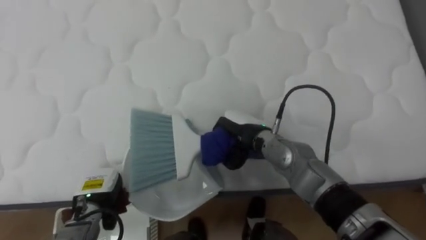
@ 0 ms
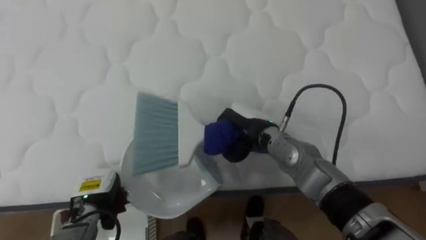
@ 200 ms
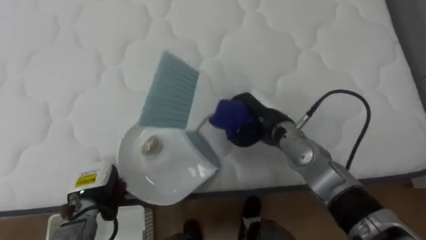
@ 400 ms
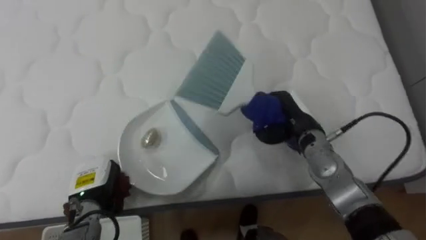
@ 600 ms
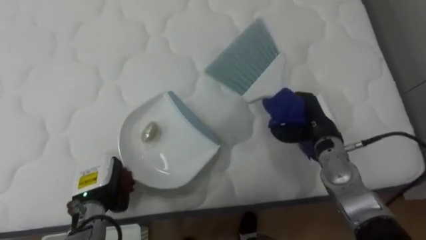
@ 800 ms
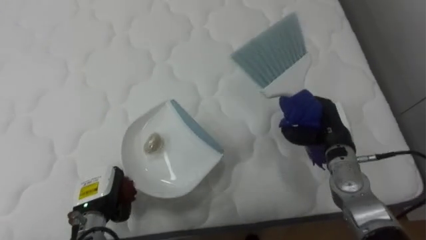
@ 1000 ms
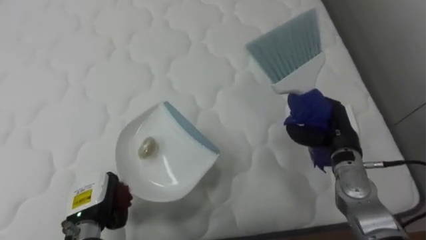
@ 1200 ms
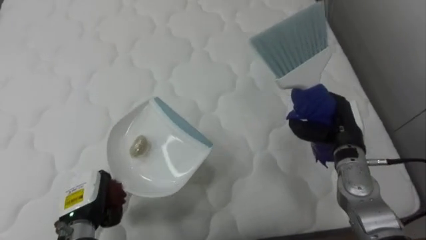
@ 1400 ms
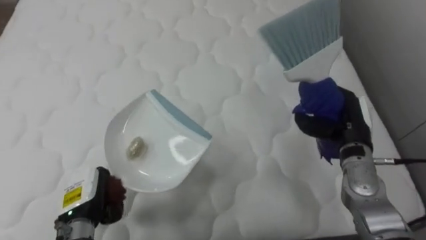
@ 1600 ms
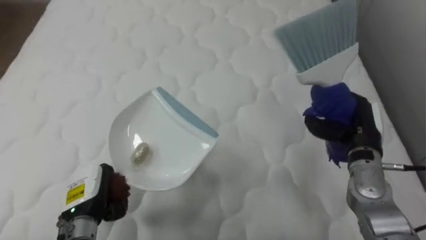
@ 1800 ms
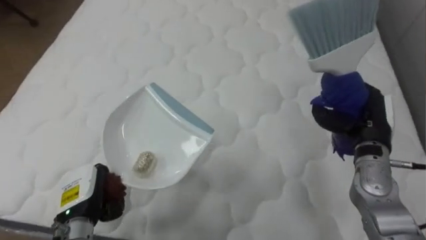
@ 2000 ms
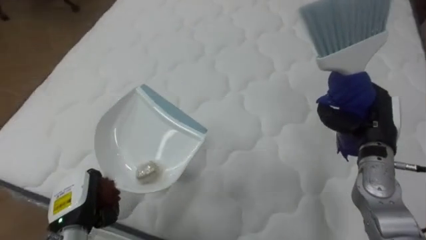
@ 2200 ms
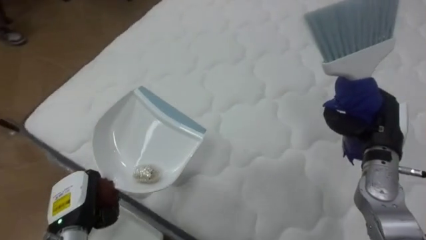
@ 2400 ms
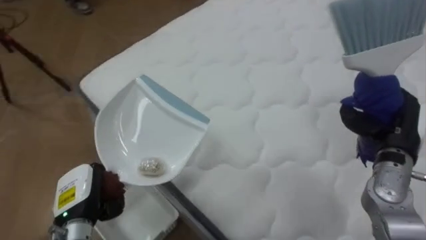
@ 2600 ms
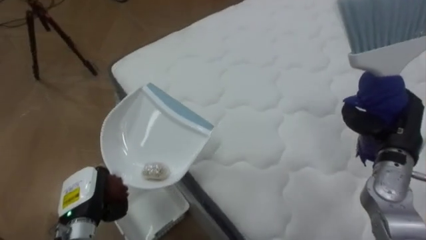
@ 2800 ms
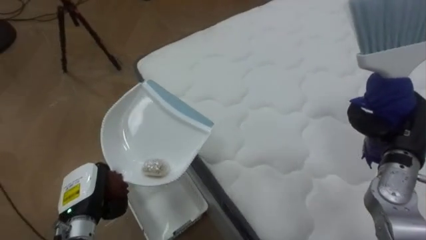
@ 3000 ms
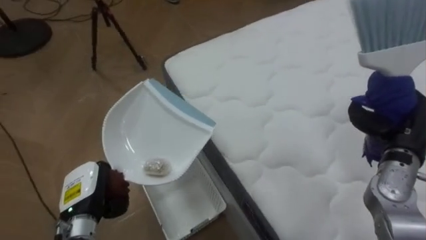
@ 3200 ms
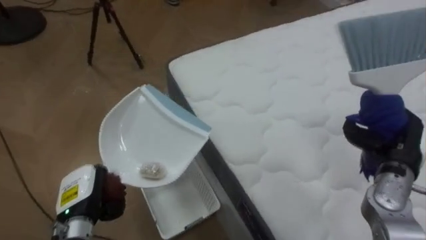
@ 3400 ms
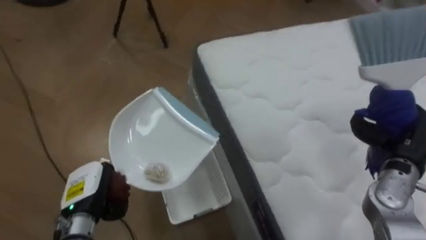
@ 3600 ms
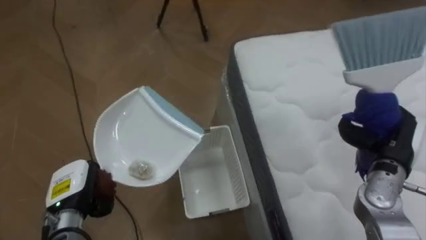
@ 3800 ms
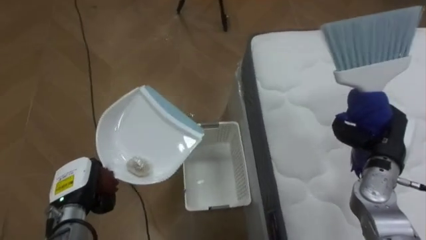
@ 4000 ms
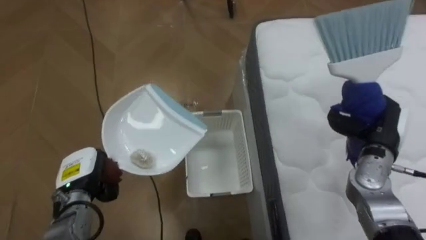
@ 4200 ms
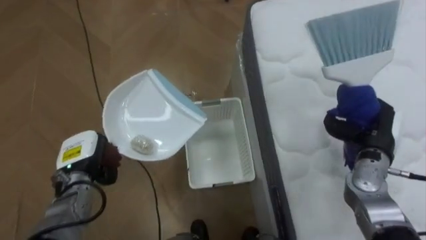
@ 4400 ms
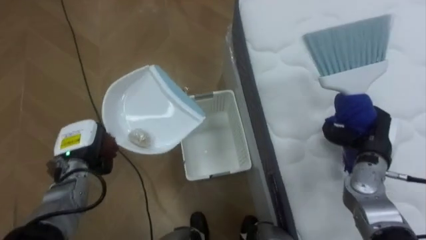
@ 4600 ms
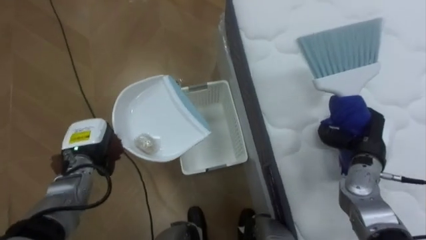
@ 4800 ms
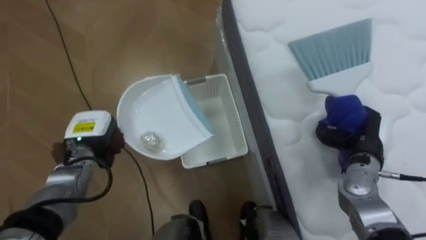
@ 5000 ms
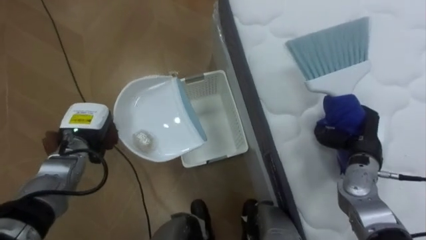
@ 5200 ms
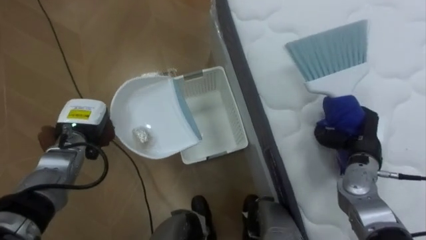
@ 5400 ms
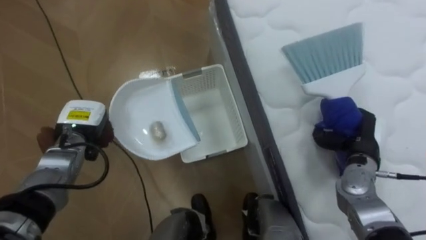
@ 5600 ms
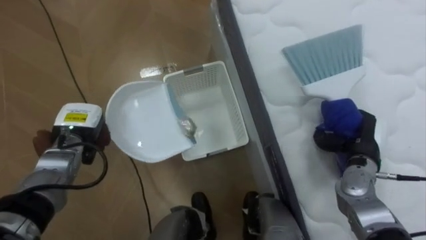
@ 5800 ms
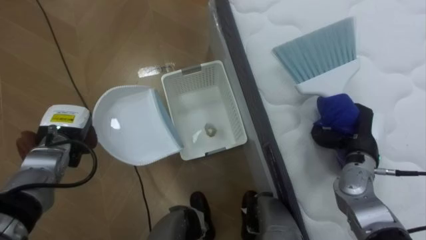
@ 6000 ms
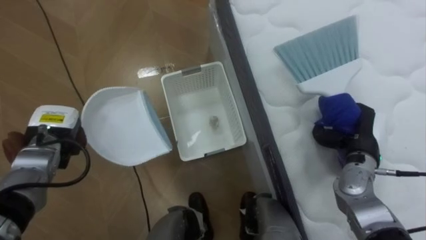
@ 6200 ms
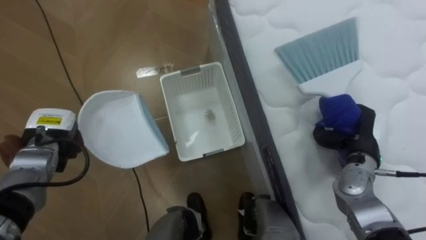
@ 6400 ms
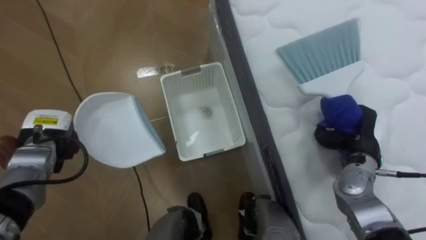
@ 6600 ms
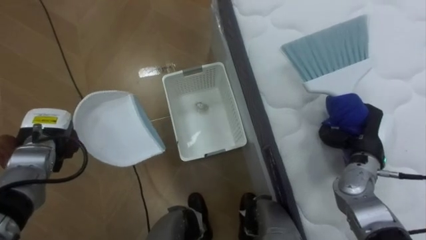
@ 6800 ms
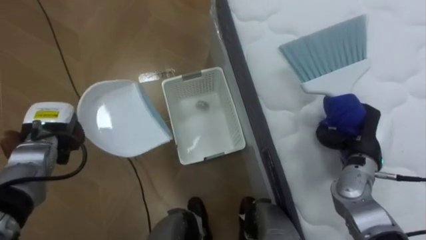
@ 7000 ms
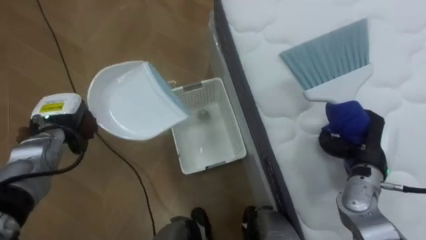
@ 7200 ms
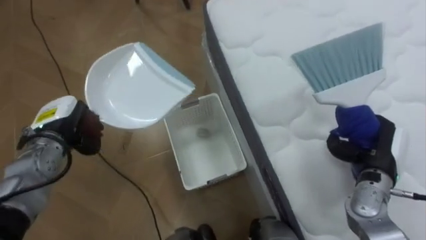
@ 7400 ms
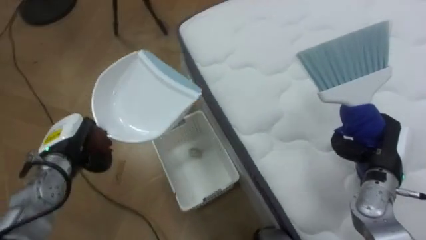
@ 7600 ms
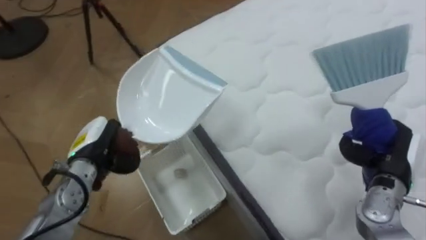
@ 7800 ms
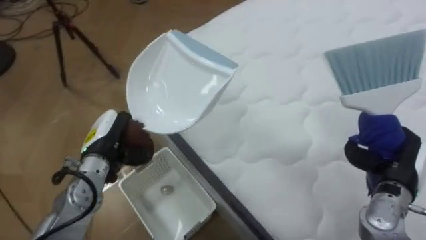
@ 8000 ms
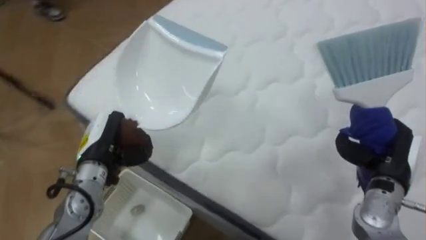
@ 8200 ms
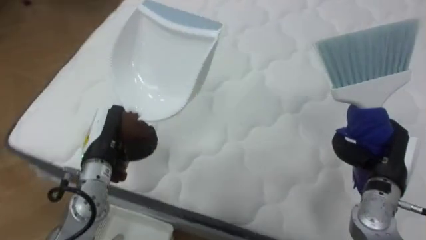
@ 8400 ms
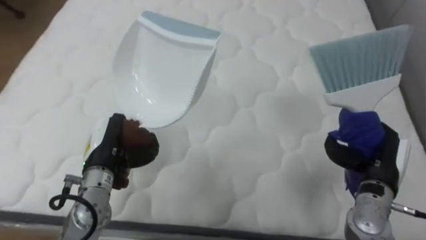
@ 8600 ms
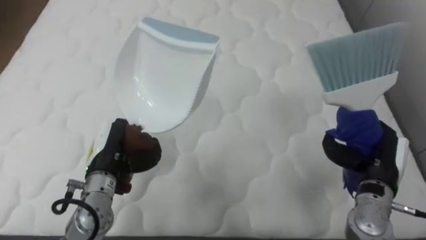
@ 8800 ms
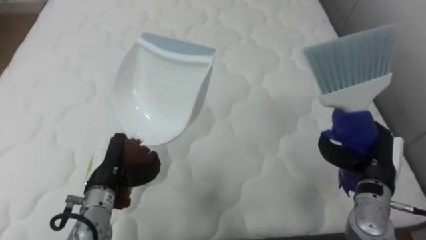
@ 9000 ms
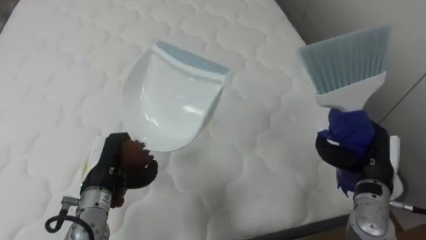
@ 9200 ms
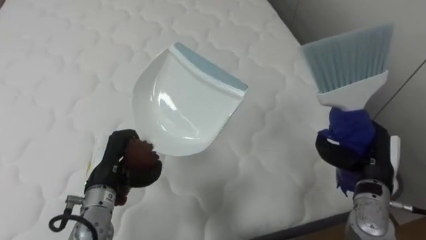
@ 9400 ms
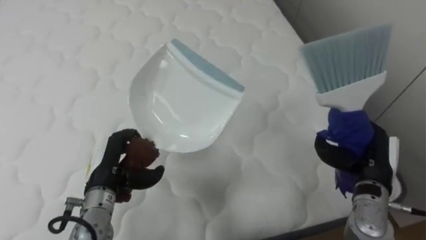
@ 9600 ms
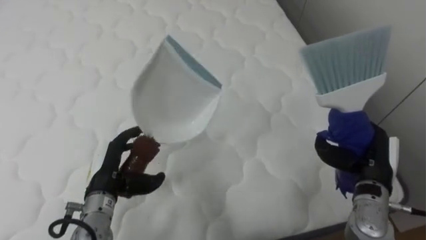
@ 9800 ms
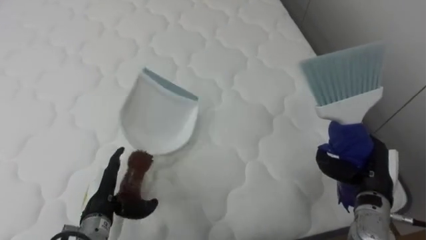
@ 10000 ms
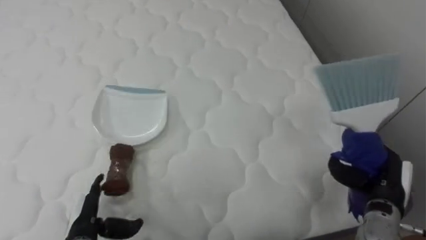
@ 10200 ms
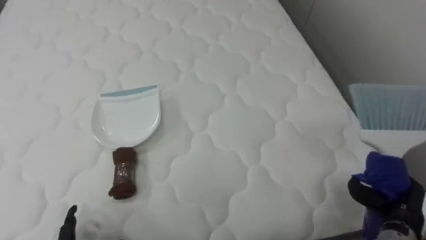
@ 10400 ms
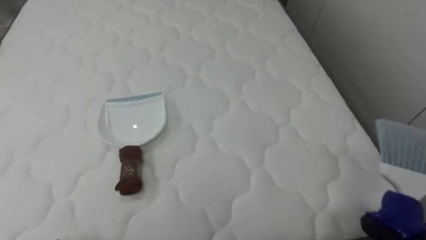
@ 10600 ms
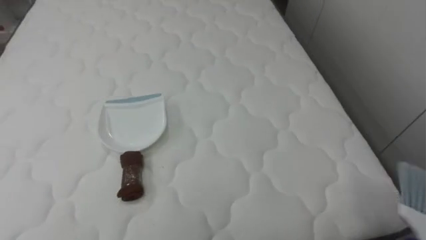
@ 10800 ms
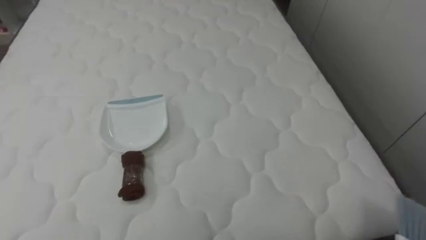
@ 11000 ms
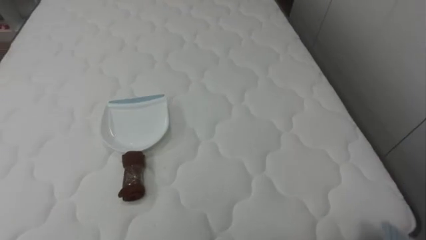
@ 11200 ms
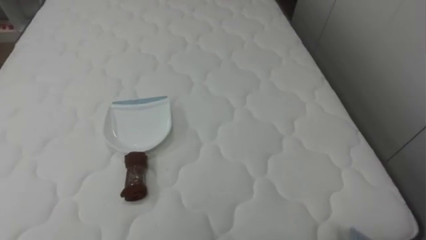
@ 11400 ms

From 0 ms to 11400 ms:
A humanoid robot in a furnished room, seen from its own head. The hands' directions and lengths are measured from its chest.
Task of the whole recording: Pick up the brush on your right and the dustpan on your left. Use the brush to sweep the crumpled paper on the bed into the dustpan, then turn left and empty it into the basket.
From 0 ms to 1400 ms: The right hand travels to the right by some 20 cm.
From 1400 ms to 2800 ms: The robot faces about 55 degrees further to its left. The right hand is displaced to the right by approximately 10 cm.
From 2800 ms to 4200 ms: The robot turns to its left by approximately 40 degrees.
From 4200 ms to 5600 ms: The left hand shifts approximately 10 cm forward and upward.
From 7200 ms to 8600 ms: The robot turns to its right by some 75 degrees. The left hand shifts roughly 10 cm to the right and backward.
From 8600 ms to 10000 ms: The robot faces approximately 20 degrees further to its right. The left hand travels downward and backward by approximately 10 cm, and opens its fingers.

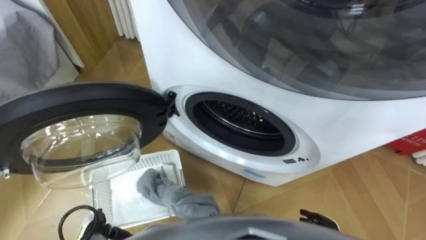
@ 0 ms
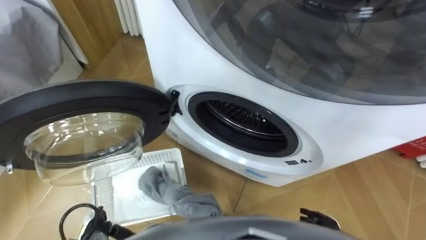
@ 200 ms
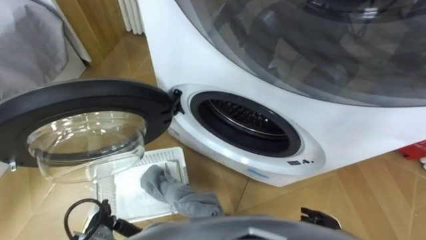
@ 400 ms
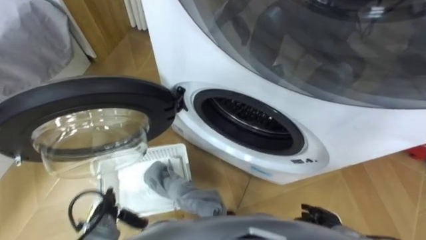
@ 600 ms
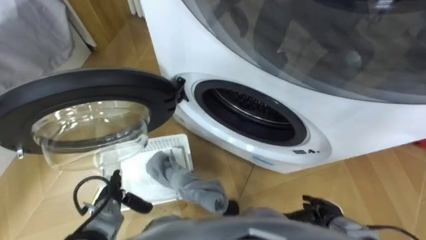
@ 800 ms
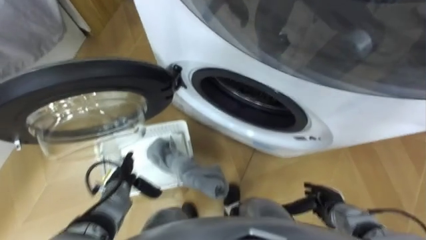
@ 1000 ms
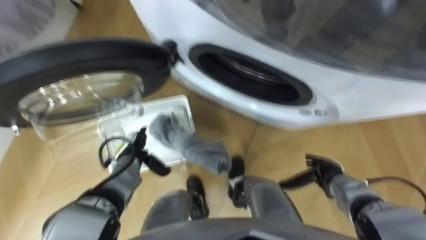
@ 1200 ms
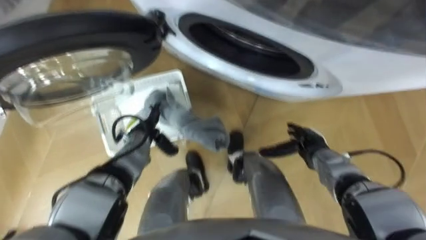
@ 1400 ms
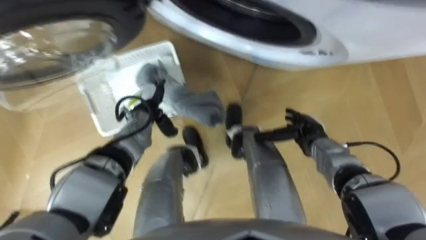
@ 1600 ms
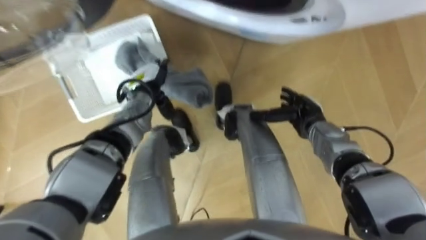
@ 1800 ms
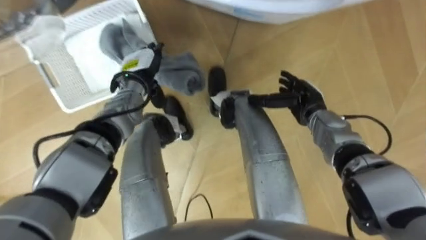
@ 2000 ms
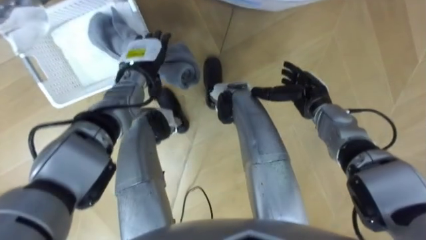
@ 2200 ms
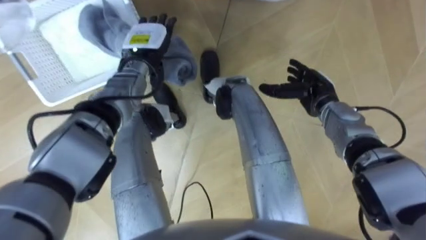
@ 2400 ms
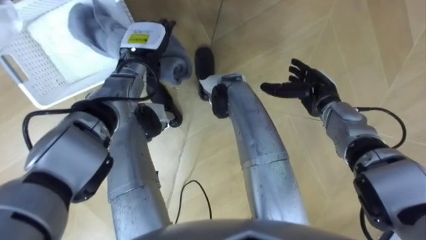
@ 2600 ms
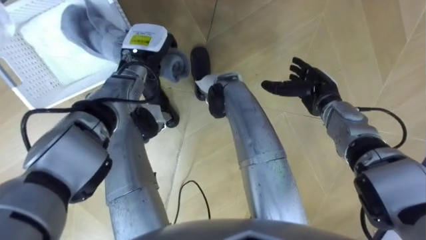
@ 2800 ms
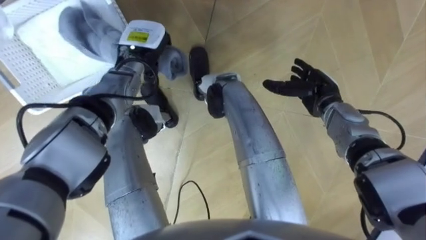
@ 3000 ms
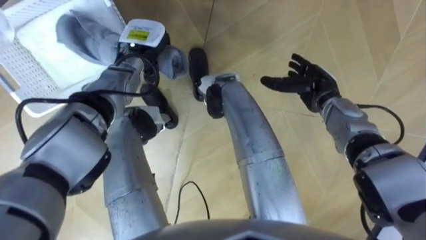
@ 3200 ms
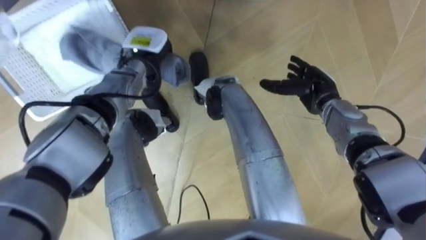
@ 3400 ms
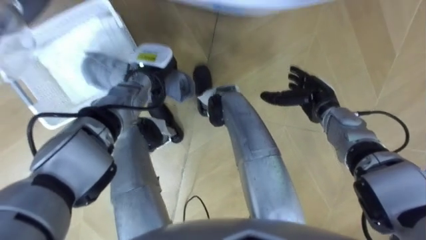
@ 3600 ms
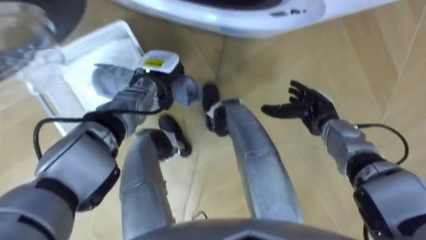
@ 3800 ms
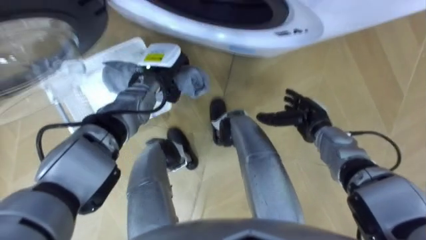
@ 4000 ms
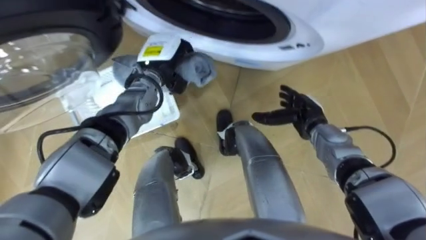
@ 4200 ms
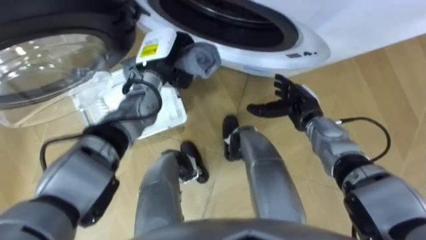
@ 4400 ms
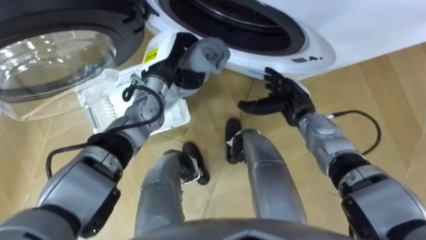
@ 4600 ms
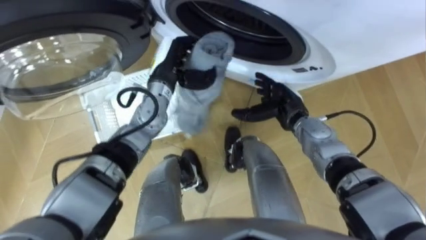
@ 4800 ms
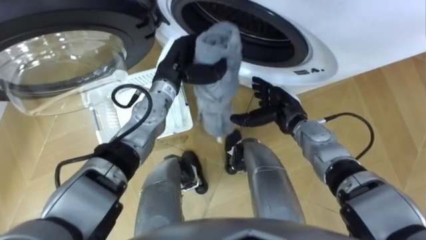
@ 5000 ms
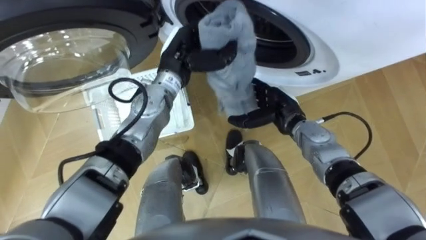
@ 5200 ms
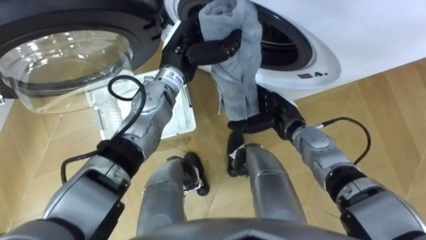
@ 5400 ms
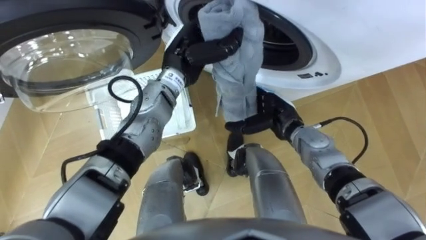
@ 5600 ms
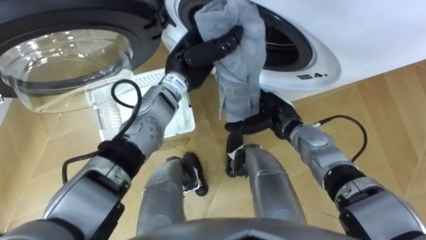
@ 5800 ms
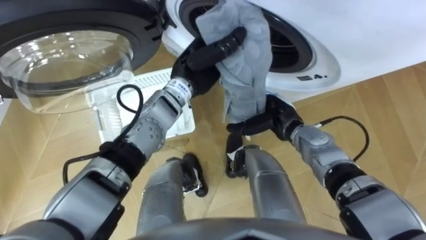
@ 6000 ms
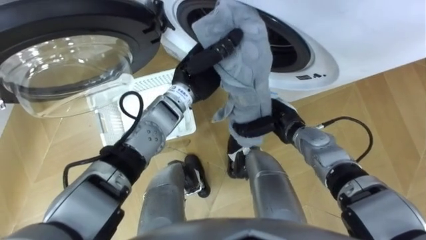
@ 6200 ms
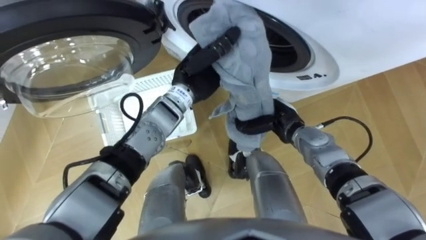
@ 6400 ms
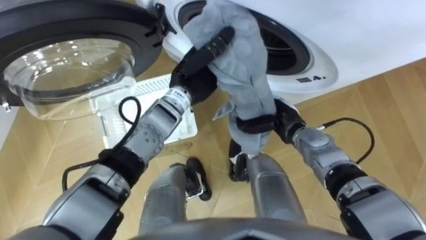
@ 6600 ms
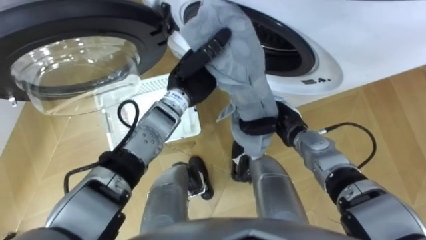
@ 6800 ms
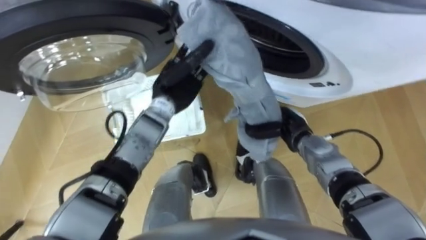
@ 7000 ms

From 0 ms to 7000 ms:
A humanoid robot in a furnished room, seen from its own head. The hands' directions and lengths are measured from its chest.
Task of the whole recording: Take the towel from the basket and put it into the washing machine.
From 1400 ms to 2800 ms: The right hand moves forward and upward, some 15 cm, while the left hand is displaced upward and forward by about 20 cm, and closes up.
From 2800 ms to 4200 ms: The right hand ends up roughly 5 cm from where it was.
From 4200 ms to 5600 ms: The right hand moves to the left, approximately 5 cm. The left hand is displaced to the right by about 5 cm.
From 5600 ms to 7000 ms: The left hand travels downward by approximately 5 cm, and opens its fingers. Meanwhile the right hand closes.
